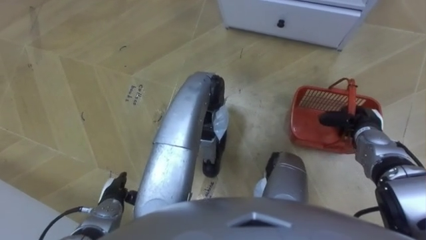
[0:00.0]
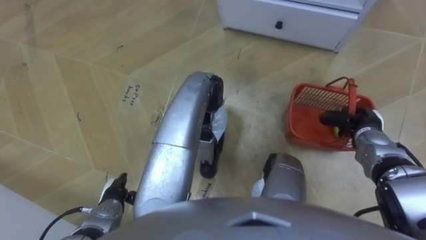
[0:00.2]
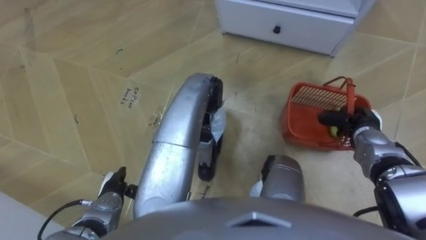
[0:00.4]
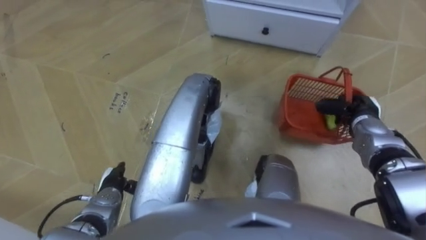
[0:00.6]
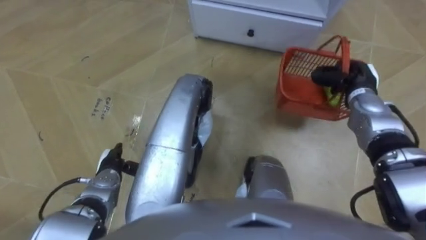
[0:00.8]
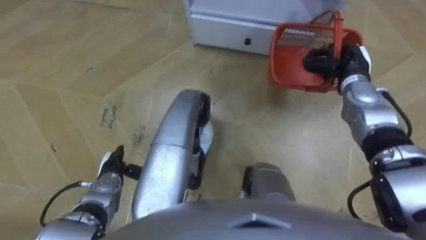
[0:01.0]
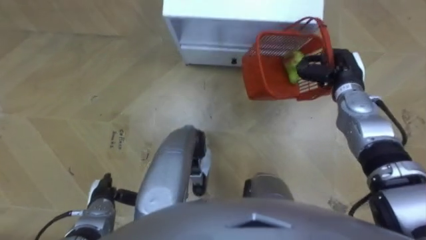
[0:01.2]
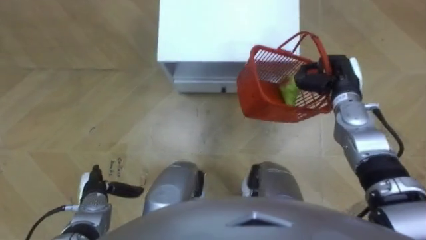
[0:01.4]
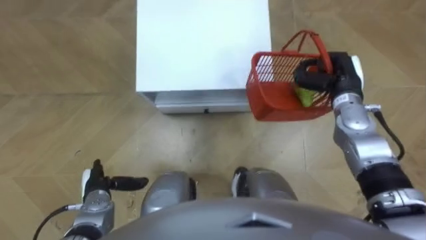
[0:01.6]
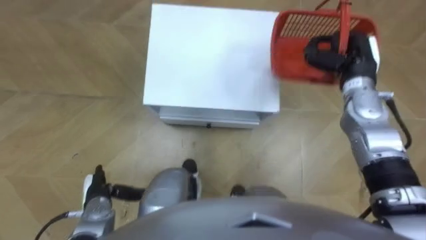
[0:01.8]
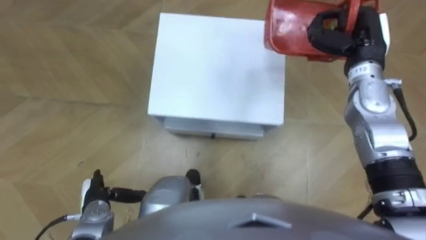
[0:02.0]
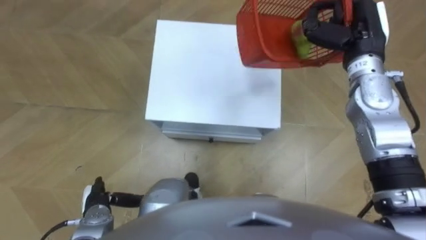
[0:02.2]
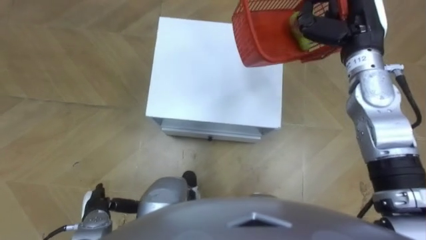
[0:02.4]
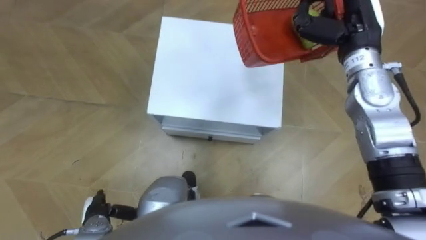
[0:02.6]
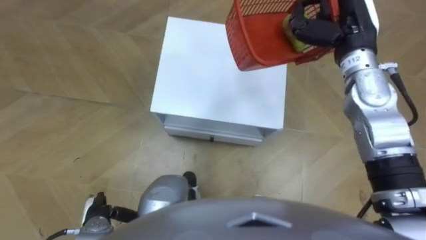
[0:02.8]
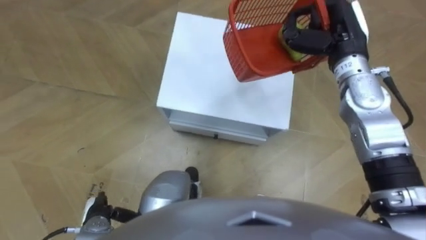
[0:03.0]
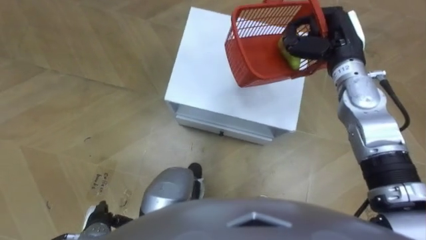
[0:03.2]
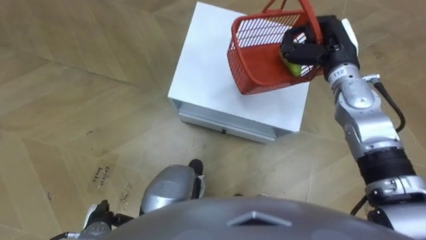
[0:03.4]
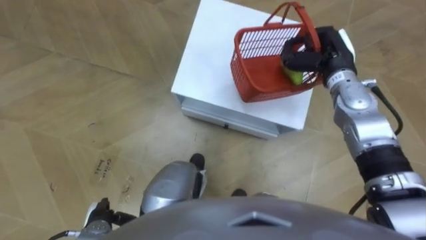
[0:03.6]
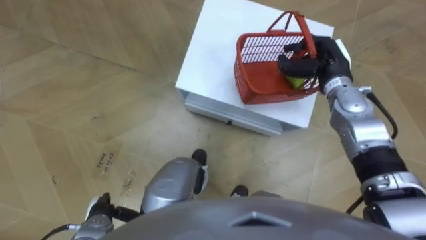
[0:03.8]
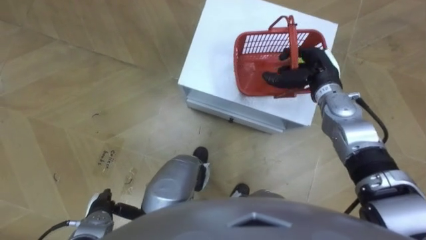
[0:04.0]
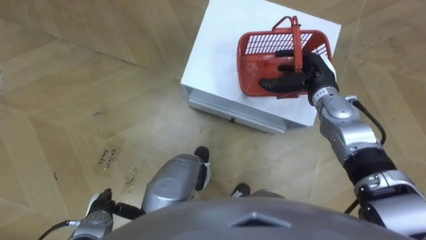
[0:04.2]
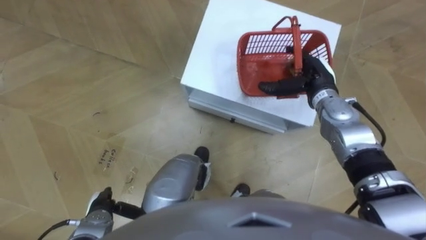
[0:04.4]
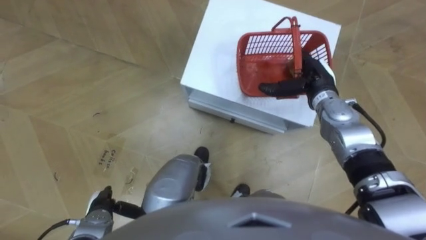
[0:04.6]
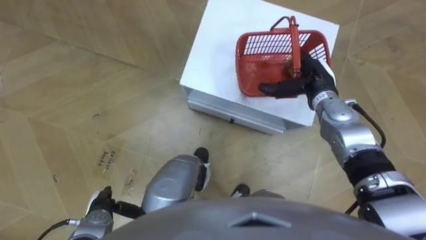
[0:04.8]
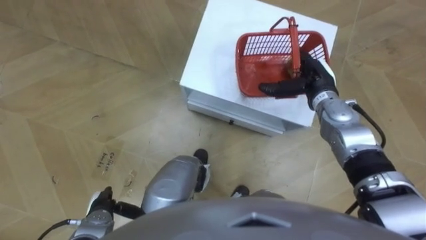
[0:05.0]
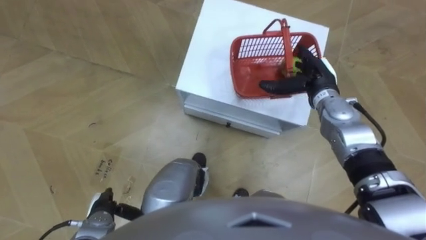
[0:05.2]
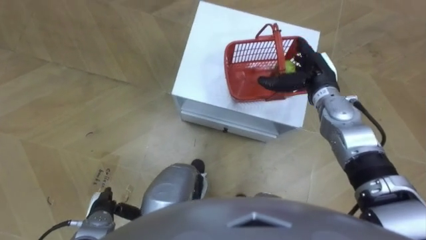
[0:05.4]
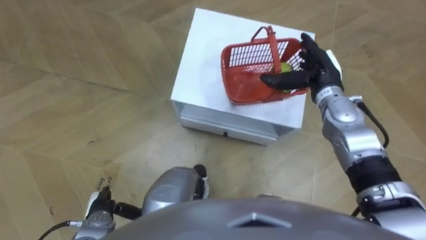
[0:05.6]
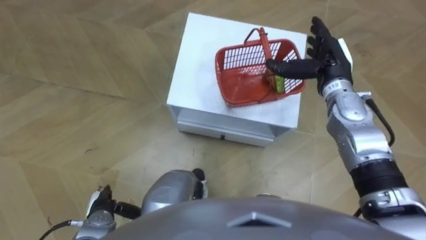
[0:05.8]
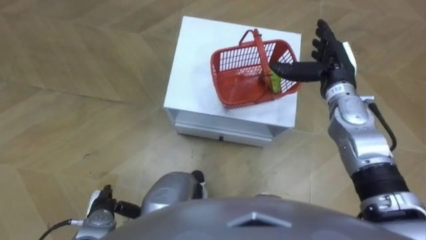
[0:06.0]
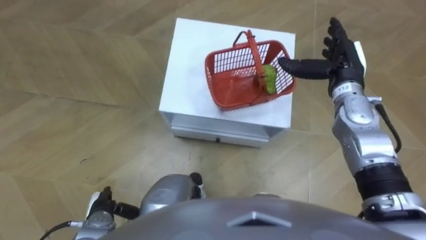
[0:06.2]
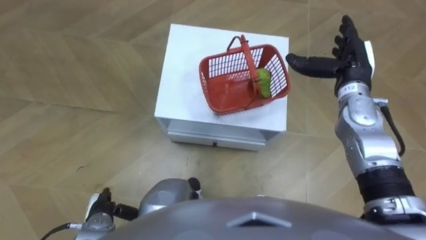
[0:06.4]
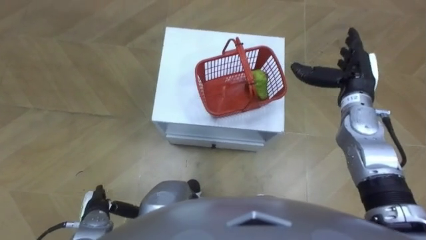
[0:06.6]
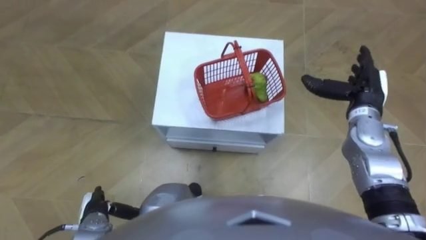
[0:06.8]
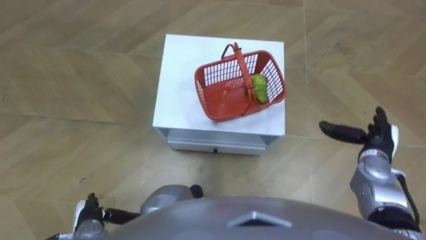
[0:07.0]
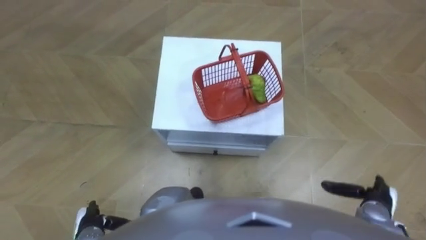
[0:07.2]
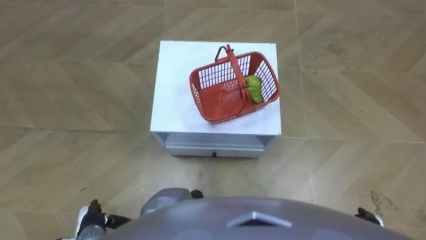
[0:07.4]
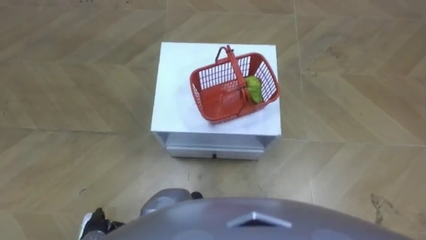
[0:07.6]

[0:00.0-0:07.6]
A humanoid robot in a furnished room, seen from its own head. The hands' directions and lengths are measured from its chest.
Task of the whole recording: Pick up the fruit basket from the floor and place it on the cabinet.
0:00.0 to 0:01.6: The robot turns to its right by some 15 degrees. The right hand goes some 15 cm upward, to the left and forward.
0:01.6 to 0:03.0: The left hand shifts approximately 5 cm backward. The right hand shifts roughly 10 cm upward.
0:03.0 to 0:04.6: The right hand is displaced downward by about 10 cm, and opens up.
0:04.6 to 0:06.0: The right hand is displaced upward by some 5 cm.
0:06.0 to 0:07.6: The right hand shifts approximately 40 cm backward and downward.

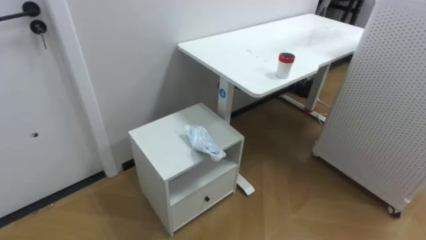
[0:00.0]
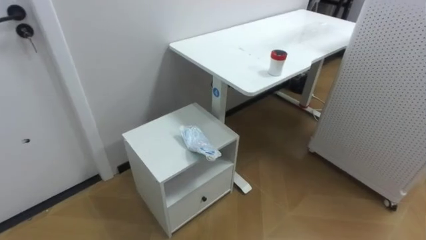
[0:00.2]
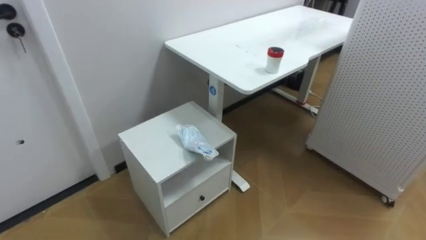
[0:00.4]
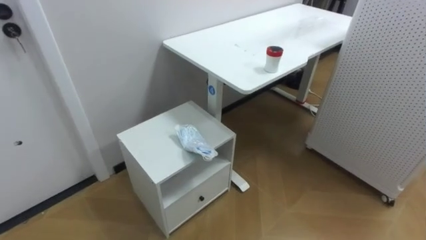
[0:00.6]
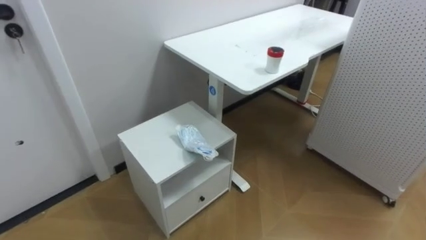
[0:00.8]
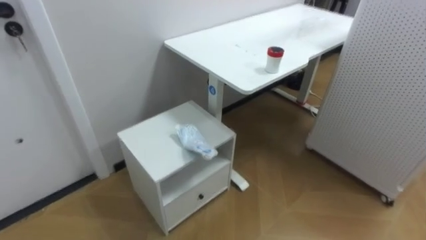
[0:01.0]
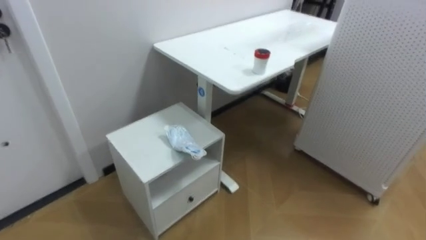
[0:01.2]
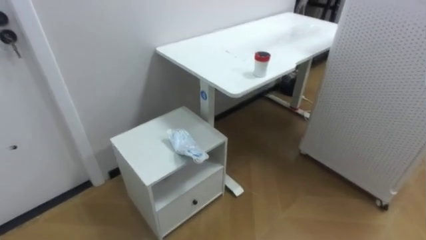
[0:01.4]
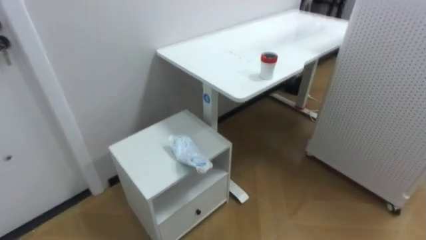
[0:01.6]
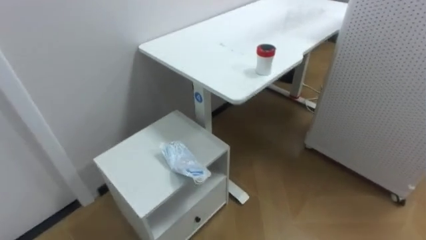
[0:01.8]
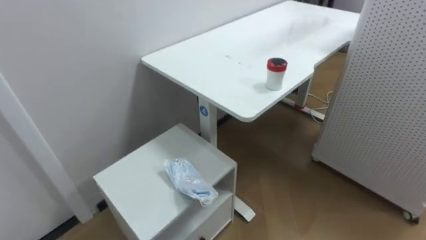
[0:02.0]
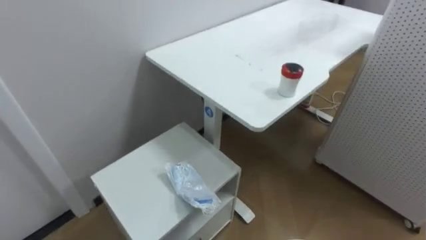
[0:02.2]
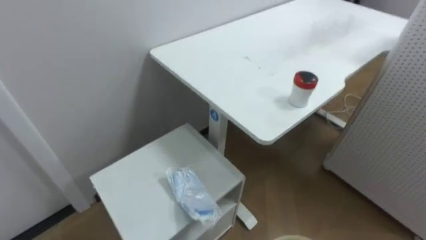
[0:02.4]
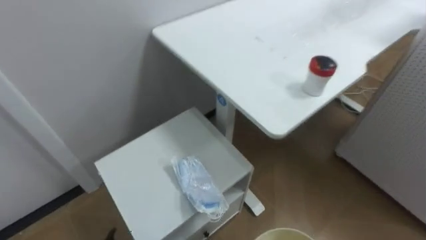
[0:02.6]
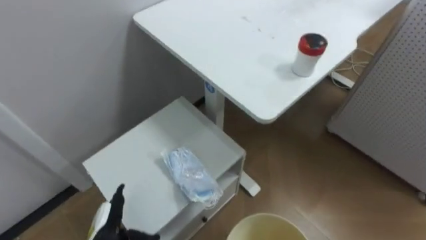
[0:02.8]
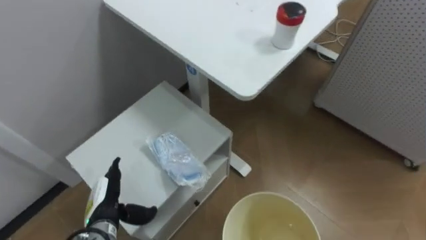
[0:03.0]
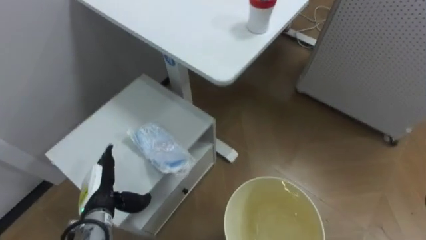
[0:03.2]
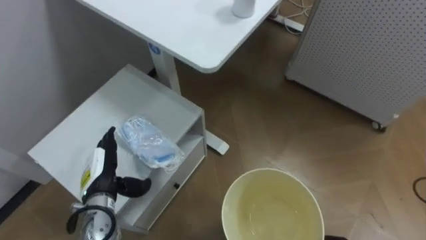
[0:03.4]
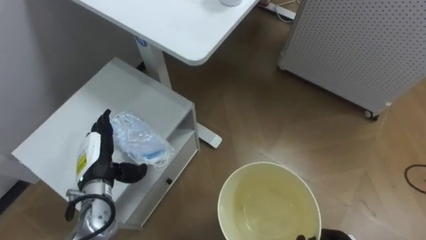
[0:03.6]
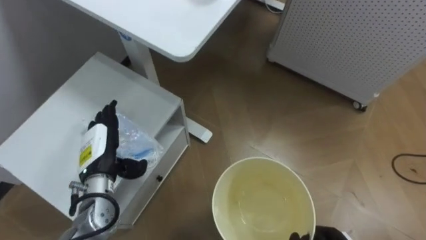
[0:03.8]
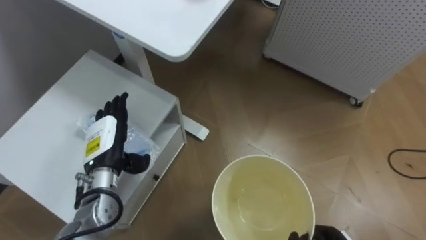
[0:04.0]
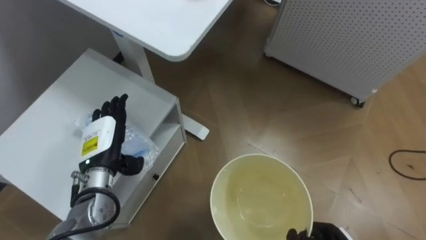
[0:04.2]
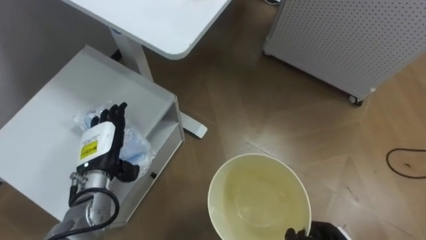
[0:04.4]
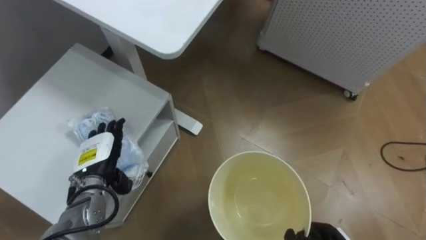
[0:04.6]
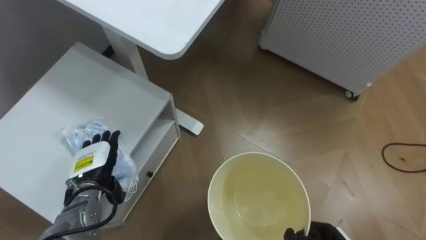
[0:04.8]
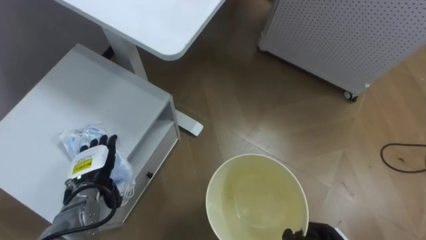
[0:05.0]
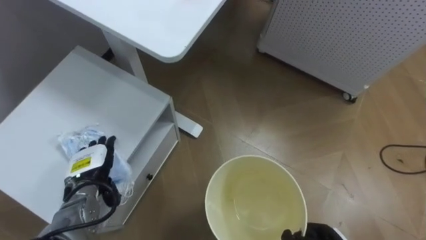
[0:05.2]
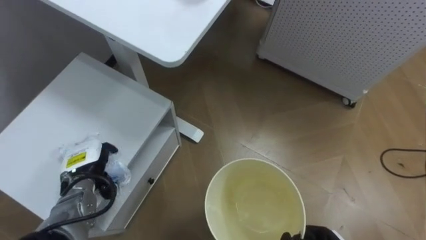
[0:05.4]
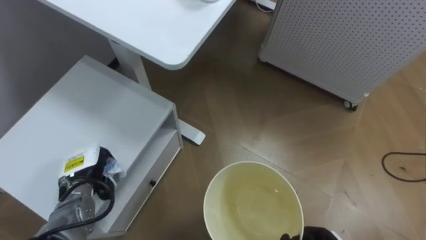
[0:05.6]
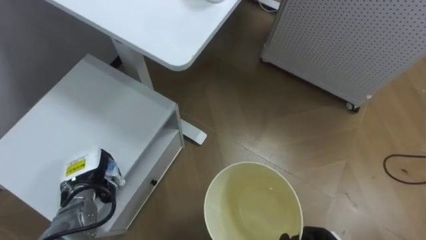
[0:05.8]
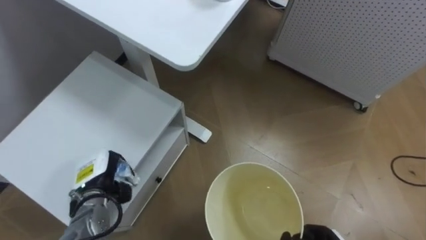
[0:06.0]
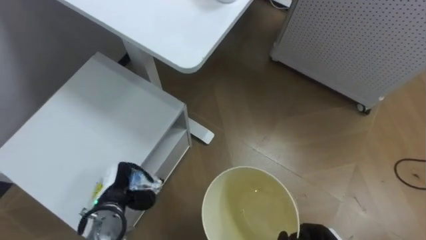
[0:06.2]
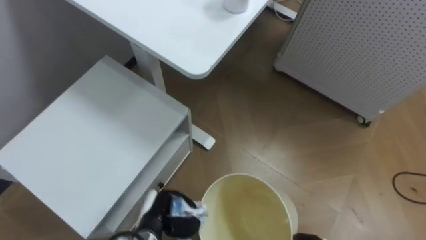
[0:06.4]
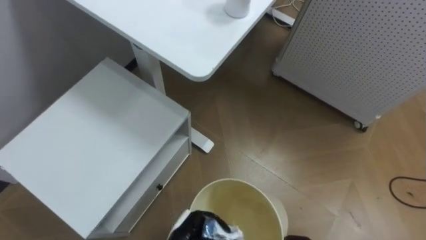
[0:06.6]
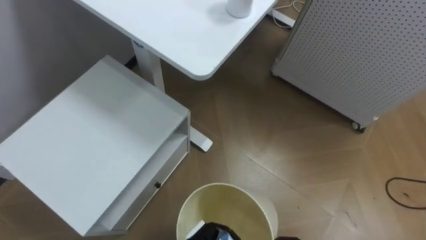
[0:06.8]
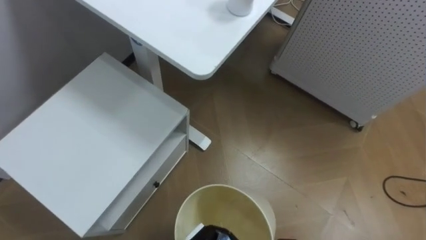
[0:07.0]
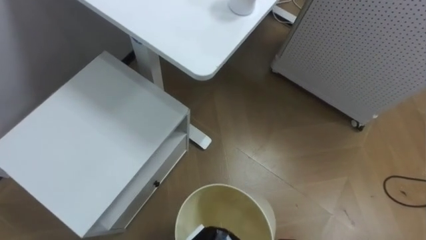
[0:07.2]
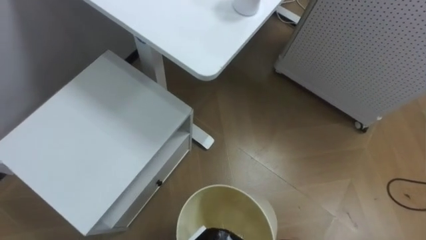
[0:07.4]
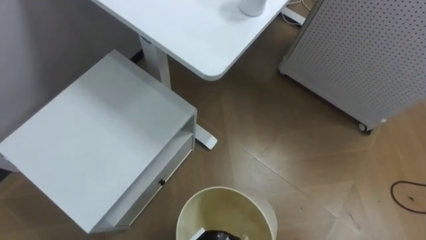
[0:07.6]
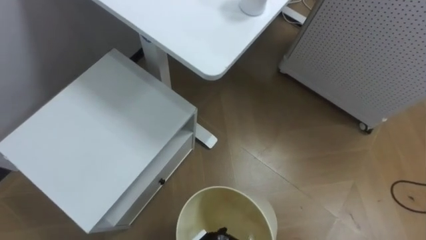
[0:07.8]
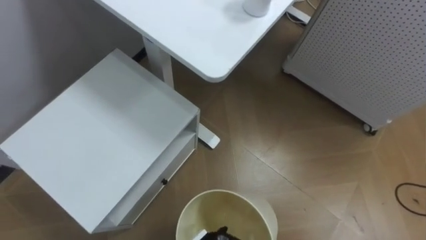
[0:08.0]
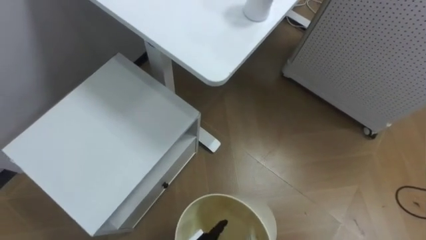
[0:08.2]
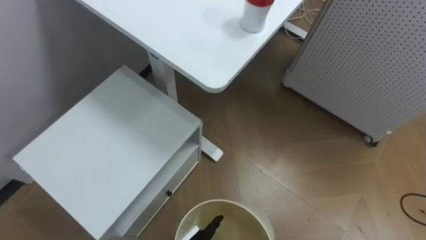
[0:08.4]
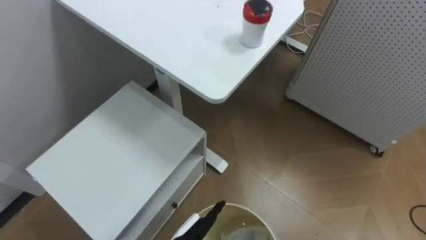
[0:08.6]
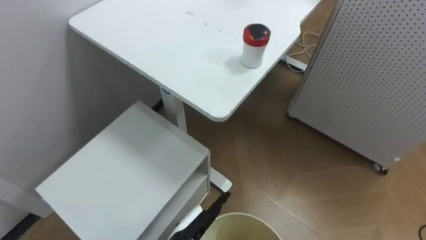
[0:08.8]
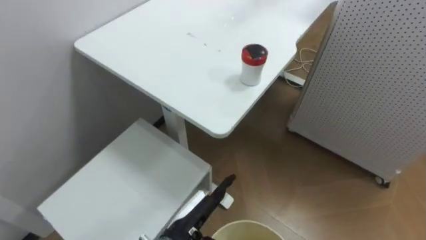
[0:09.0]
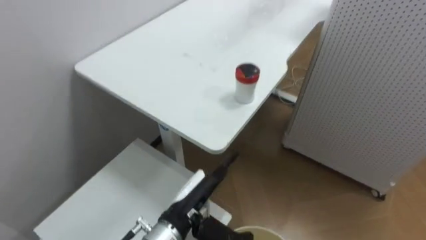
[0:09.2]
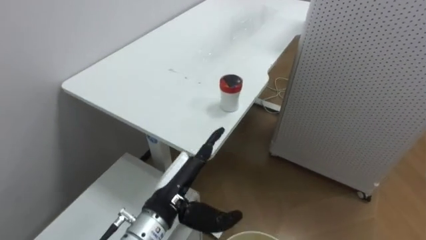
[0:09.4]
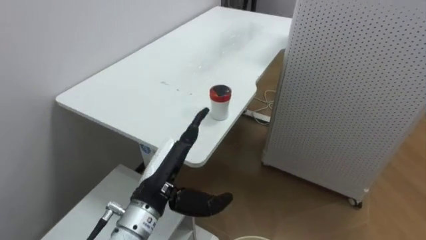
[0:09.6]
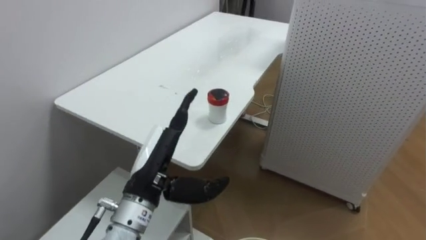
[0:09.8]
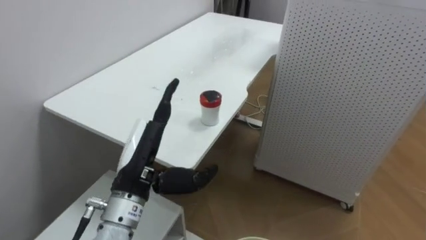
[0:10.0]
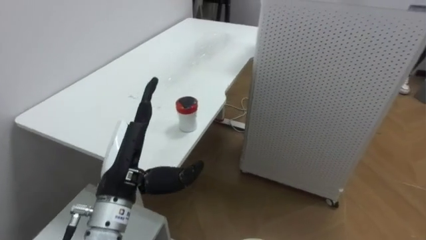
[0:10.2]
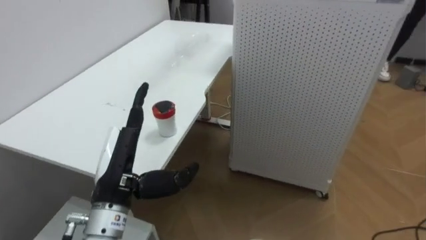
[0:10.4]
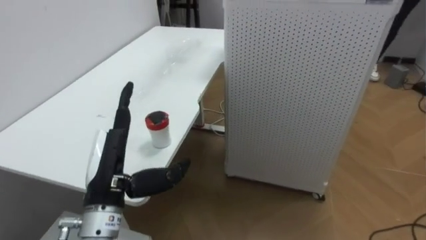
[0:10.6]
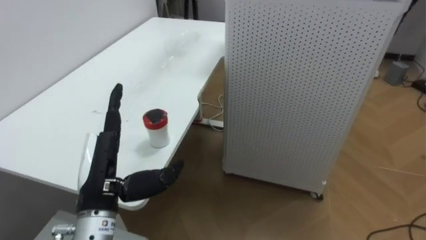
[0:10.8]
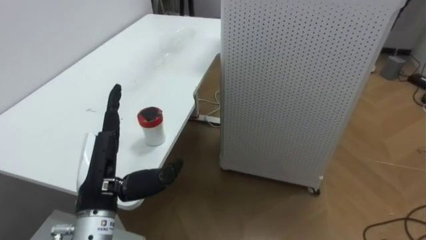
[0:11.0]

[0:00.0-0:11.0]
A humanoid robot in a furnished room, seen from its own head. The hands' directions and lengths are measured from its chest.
Task of the whole recording: Pick up the light blue package, the candy box, and the dark blue package separately, and put them into the trash can held in your right hand.
0:04.8 to 0:06.2: The left hand changes place by about 5 cm, and closes.
0:09.4 to 0:11.0: The robot's body swings some 20 degrees to its right. The left hand travels to the left and upward by about 10 cm.
